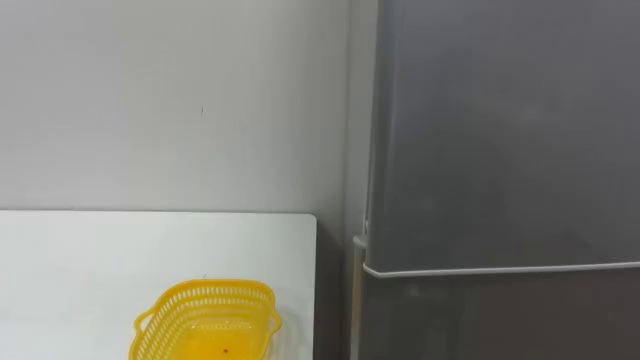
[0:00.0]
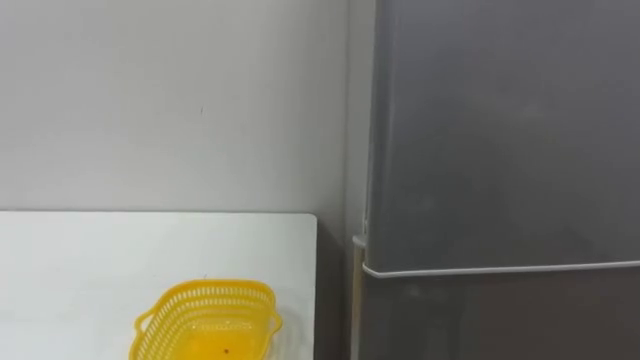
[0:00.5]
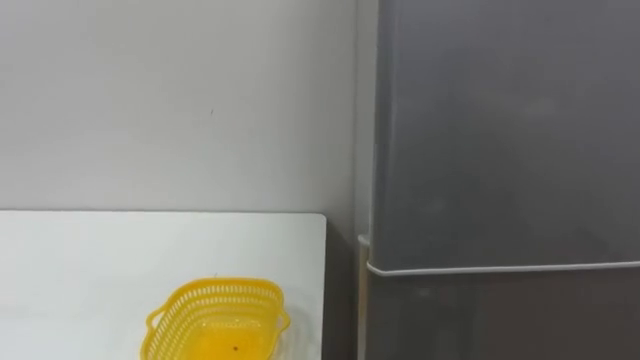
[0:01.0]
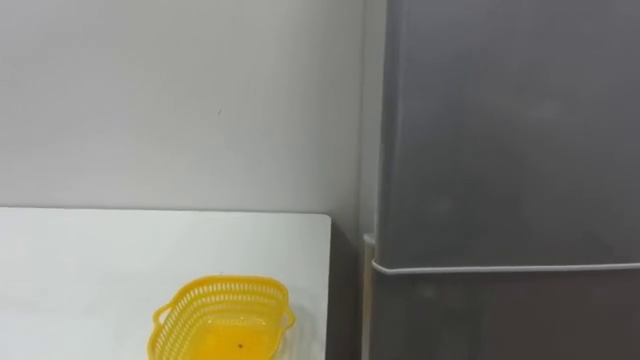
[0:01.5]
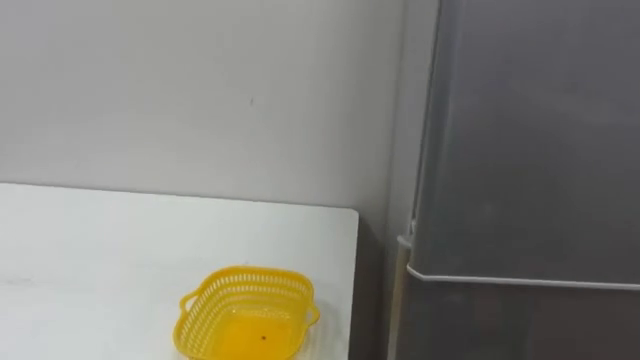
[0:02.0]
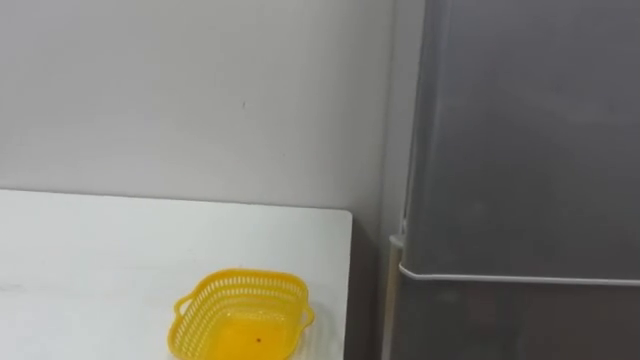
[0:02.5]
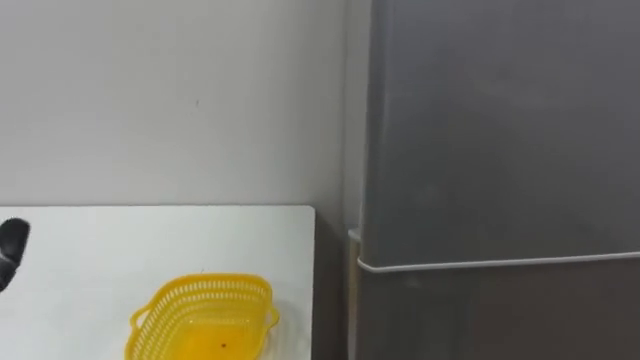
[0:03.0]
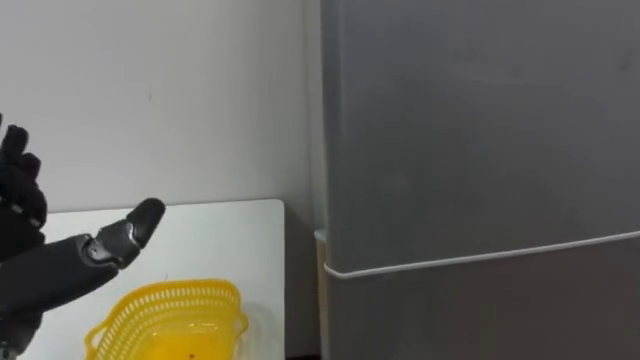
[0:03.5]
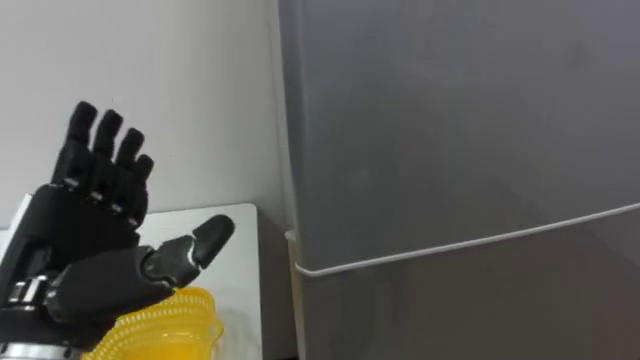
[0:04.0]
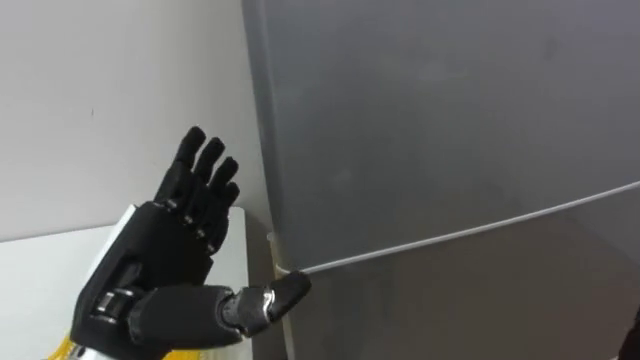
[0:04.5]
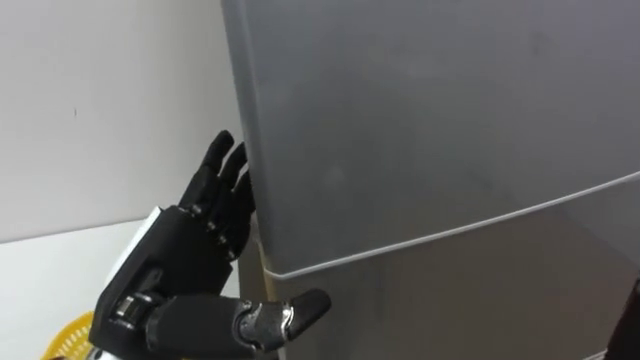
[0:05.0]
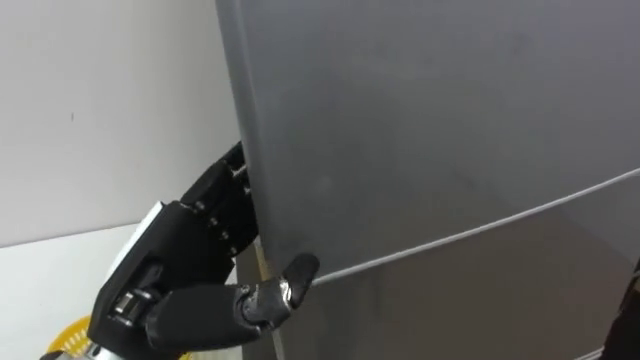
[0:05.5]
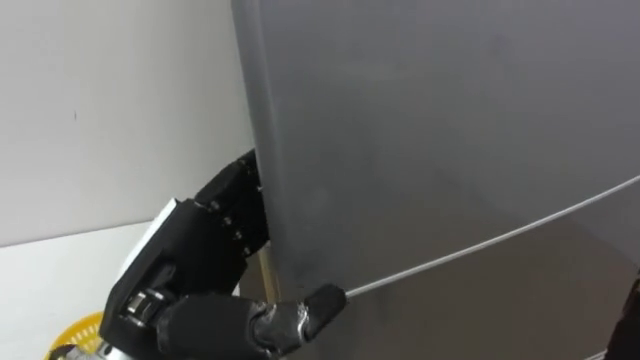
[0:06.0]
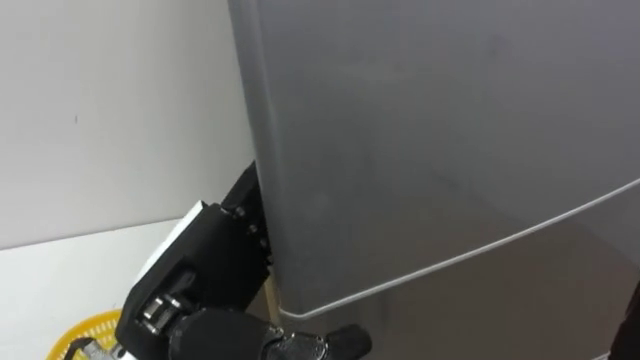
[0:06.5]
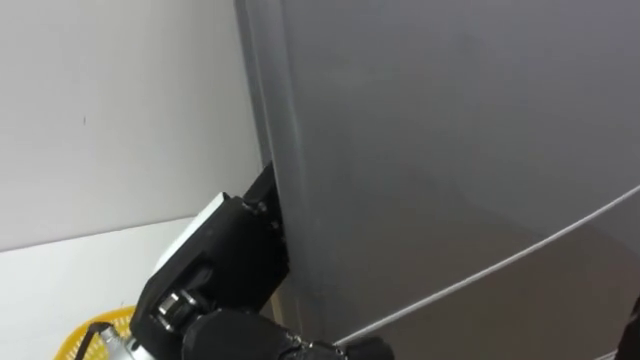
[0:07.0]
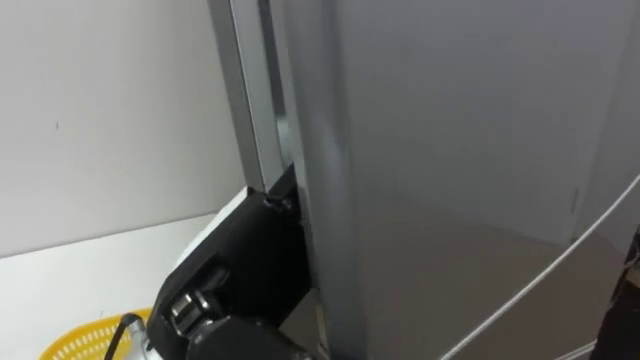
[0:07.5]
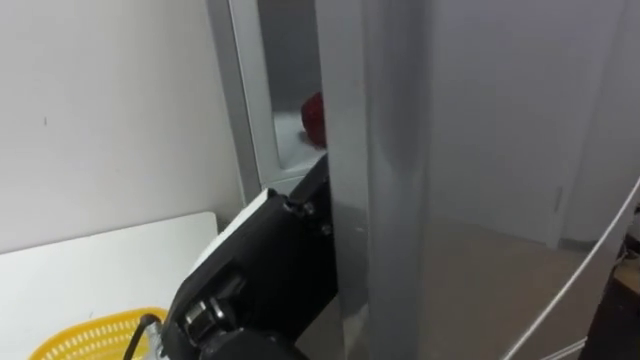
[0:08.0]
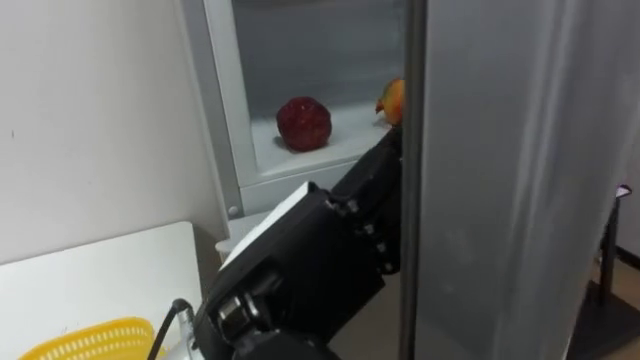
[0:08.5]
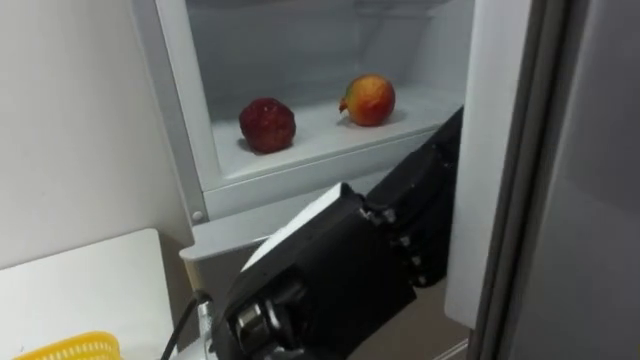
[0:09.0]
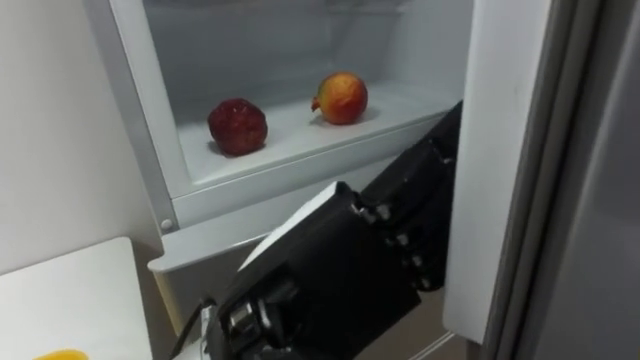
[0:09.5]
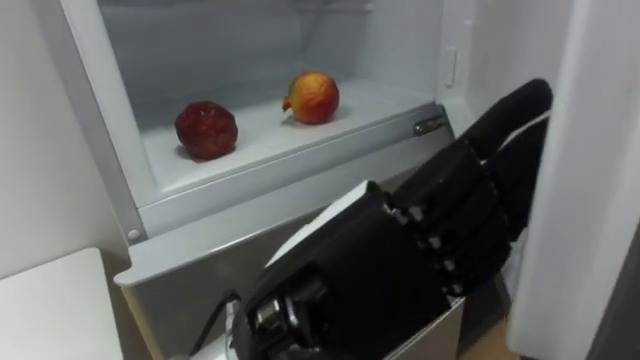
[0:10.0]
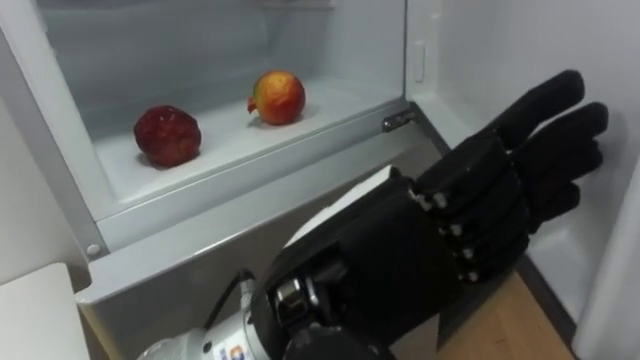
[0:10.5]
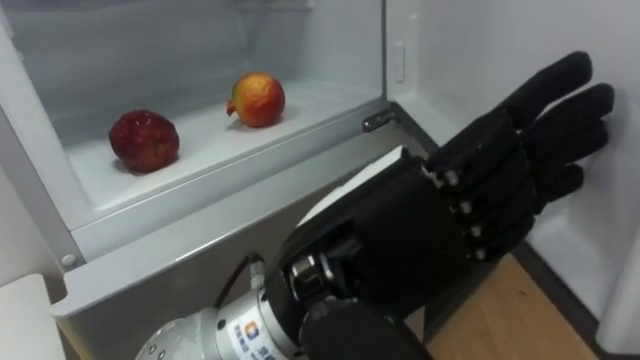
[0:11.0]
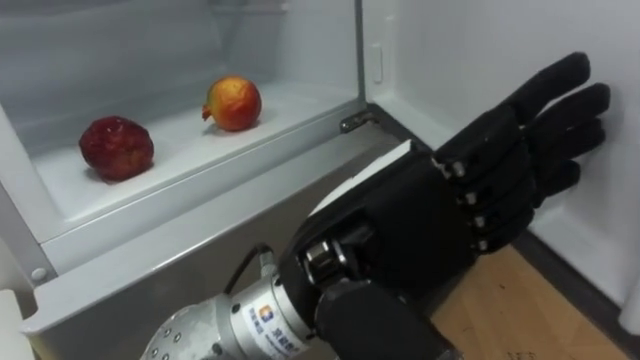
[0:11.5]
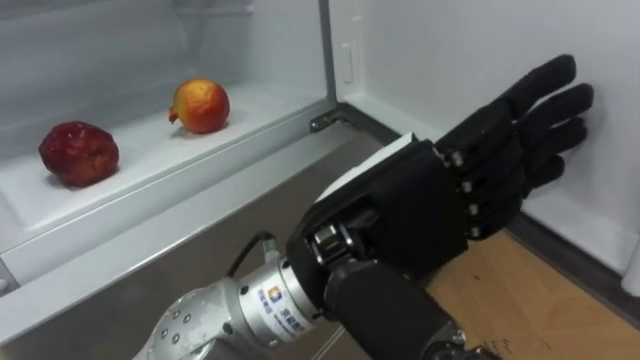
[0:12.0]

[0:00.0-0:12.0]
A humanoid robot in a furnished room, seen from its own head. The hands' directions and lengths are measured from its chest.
Task of the whole recording: Open the refrigerator door, take out the apple and the pomegranate, place them in the fruit basket on the left, and close the refrigerator door.
0:04.0 to 0:06.0: The left hand heads to the right, covering approximately 10 cm.
0:06.0 to 0:08.0: The left hand shifts some 5 cm to the right.
0:08.0 to 0:10.0: The left hand changes place by about 5 cm.
0:10.0 to 0:12.0: The left hand ends up roughly 5 cm from where it was.

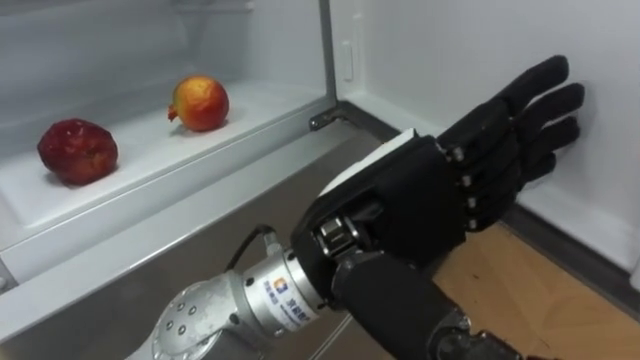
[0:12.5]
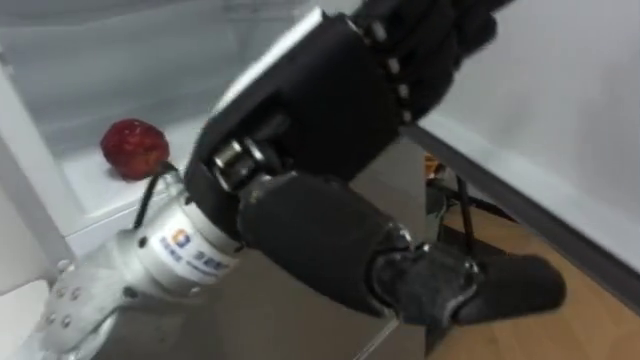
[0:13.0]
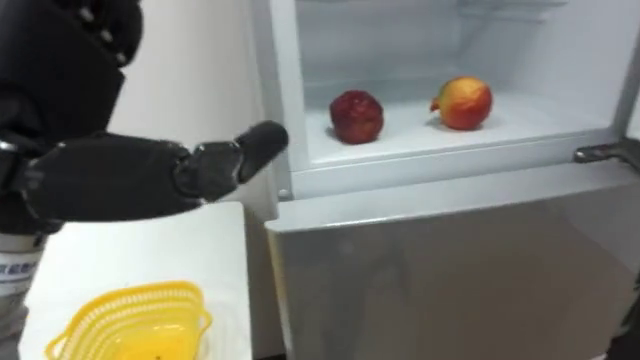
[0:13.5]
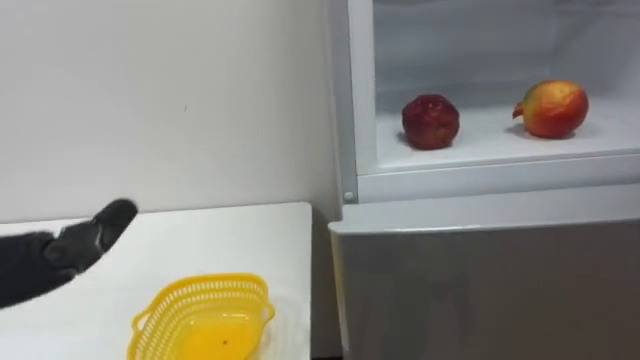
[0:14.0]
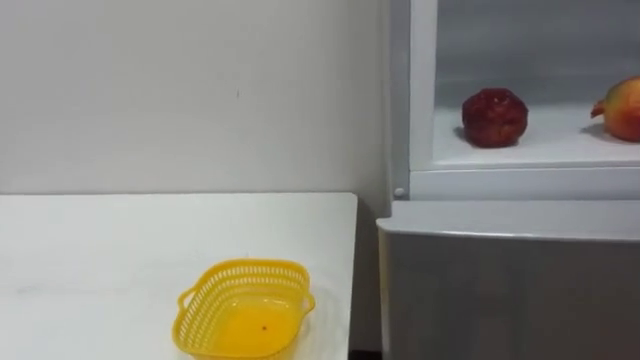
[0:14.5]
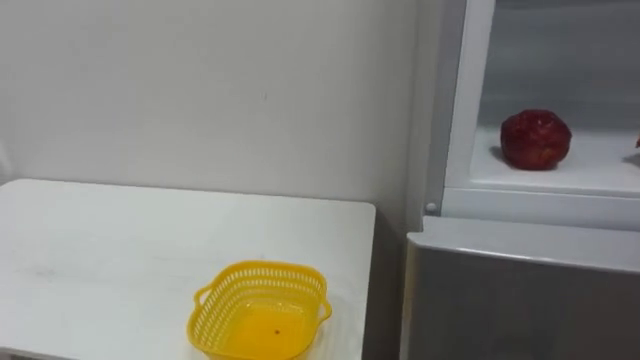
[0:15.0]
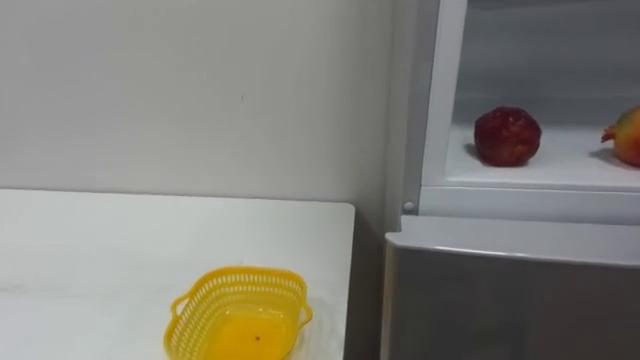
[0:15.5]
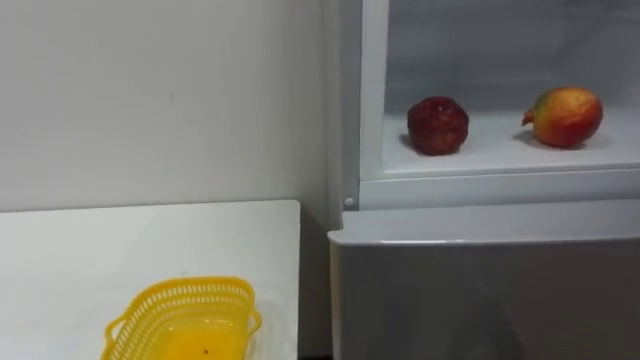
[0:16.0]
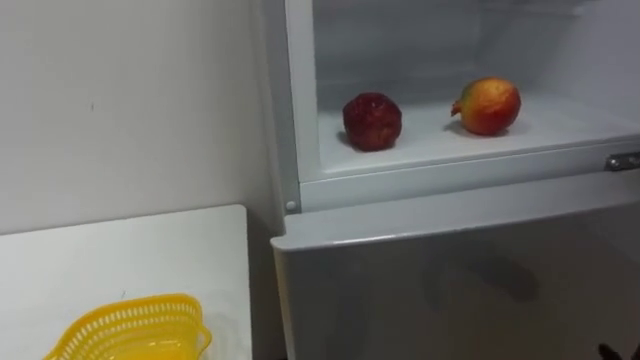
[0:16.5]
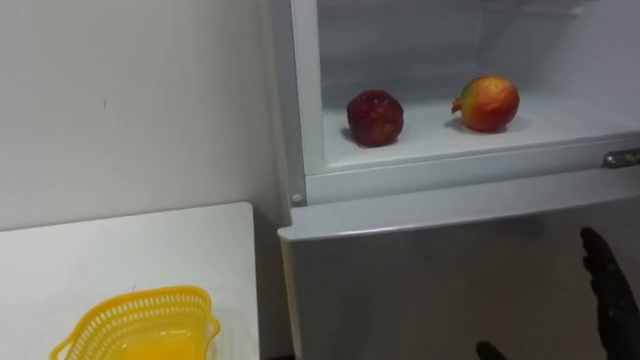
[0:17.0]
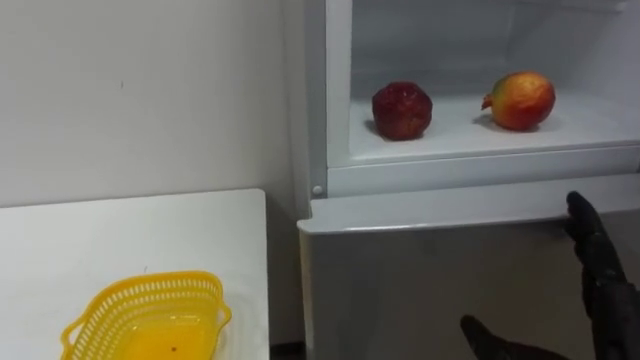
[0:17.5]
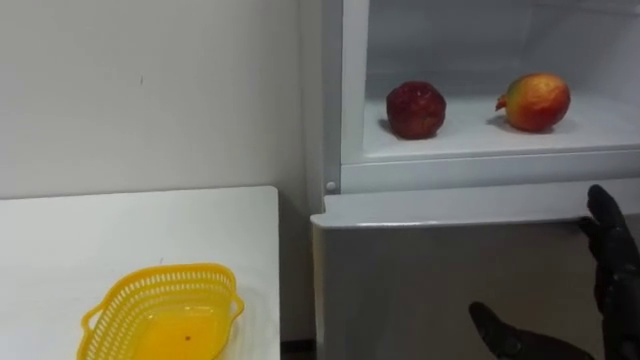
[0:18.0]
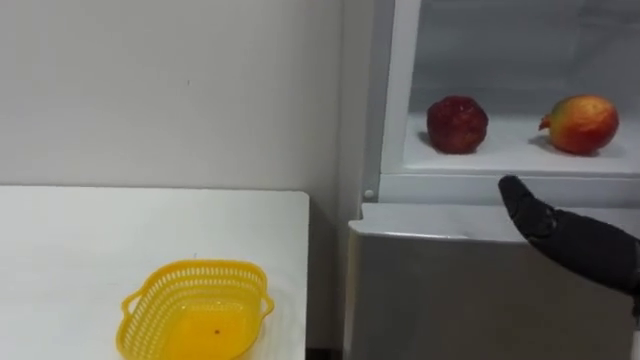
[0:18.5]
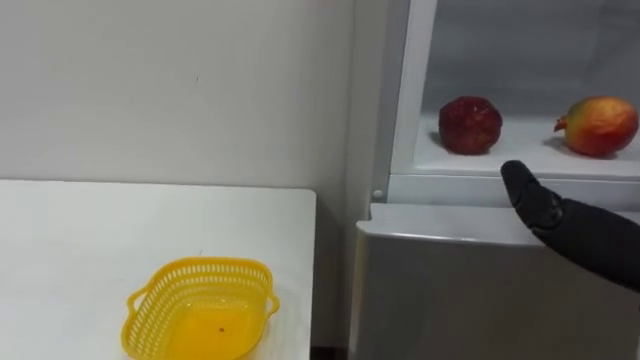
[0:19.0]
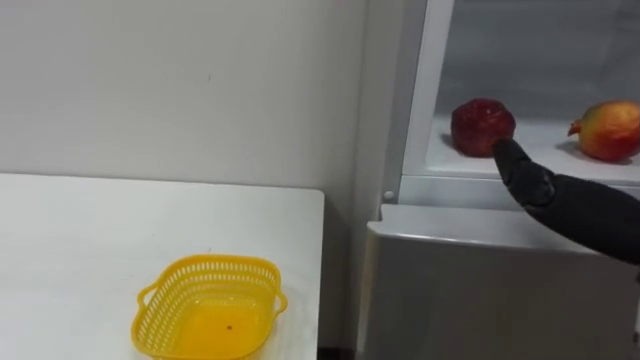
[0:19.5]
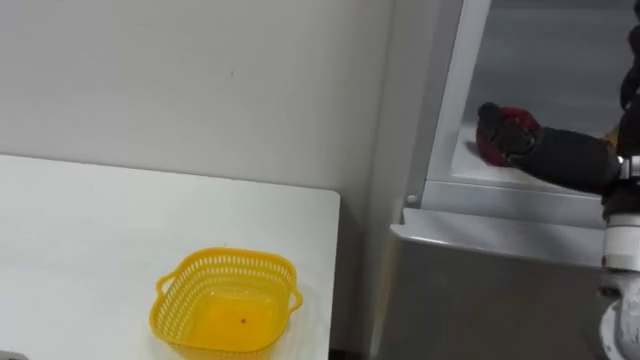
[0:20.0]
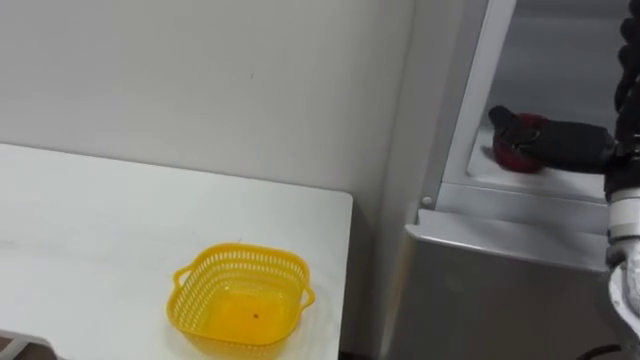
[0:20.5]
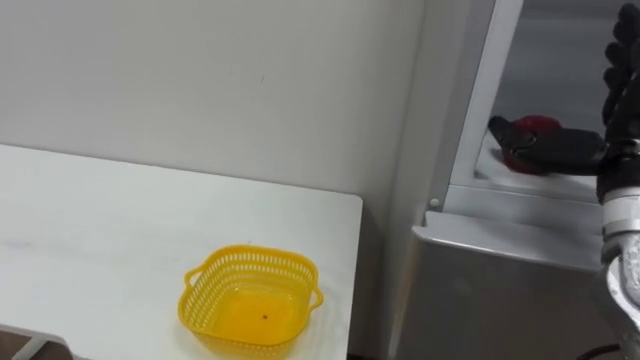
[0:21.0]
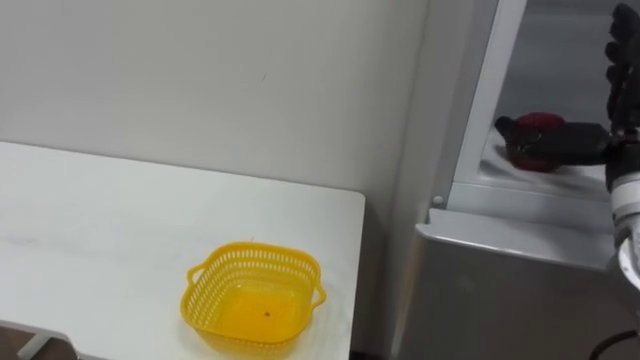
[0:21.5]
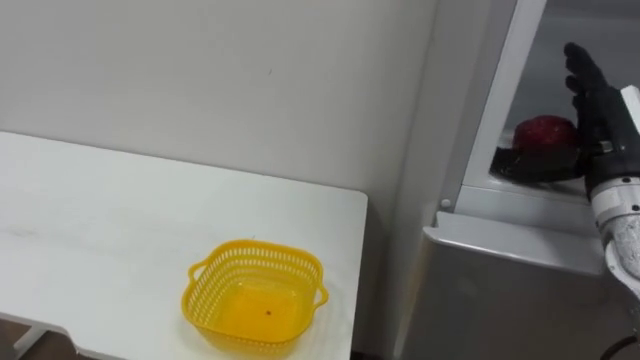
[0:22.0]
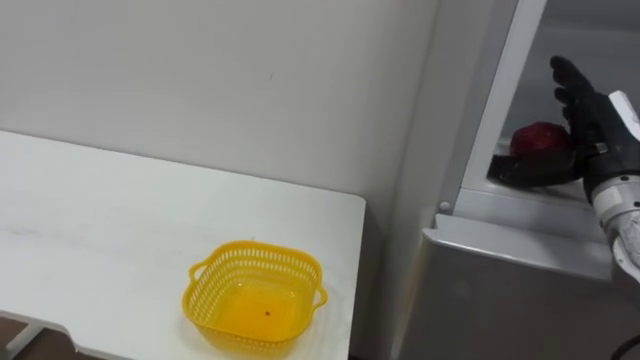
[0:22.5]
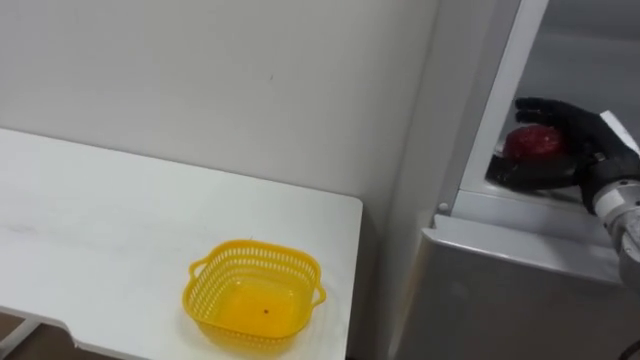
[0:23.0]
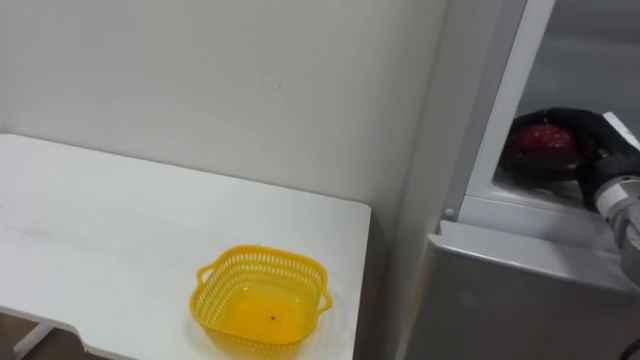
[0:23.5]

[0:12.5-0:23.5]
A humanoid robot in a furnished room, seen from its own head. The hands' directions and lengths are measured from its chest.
Task of the whole recording: Open the refrigerator door, take out the apple and the pomegranate, place them in the fruit basket on the left, and close the refrigerator door.
0:20.0 to 0:21.5: The right hand travels forward by approximately 10 cm.
0:21.5 to 0:23.5: The right hand is displaced downward and forward by approximately 10 cm, and closes.
